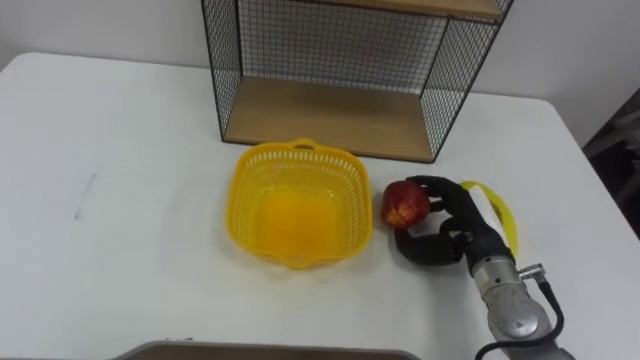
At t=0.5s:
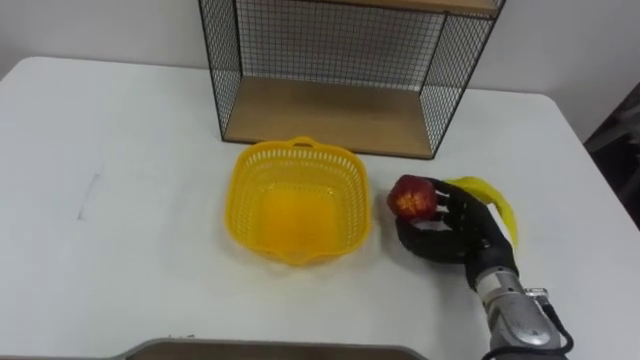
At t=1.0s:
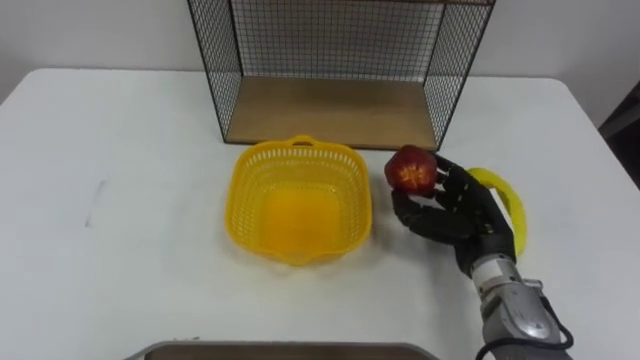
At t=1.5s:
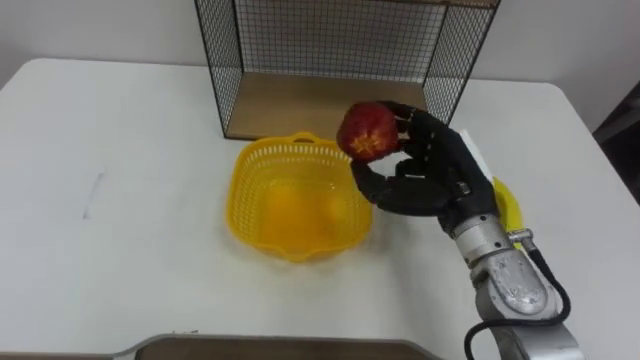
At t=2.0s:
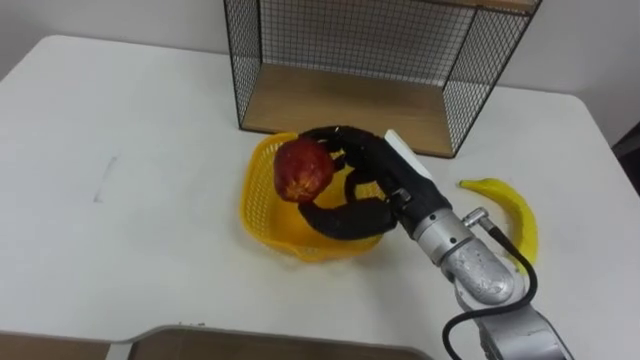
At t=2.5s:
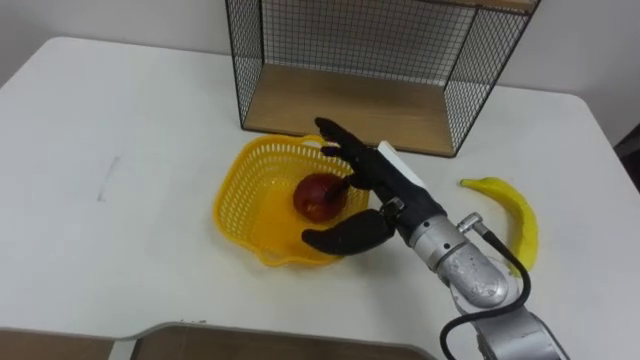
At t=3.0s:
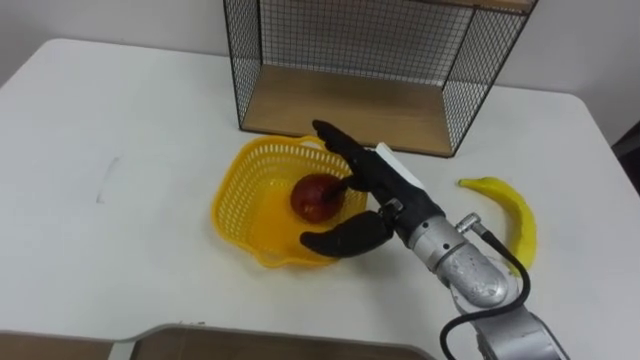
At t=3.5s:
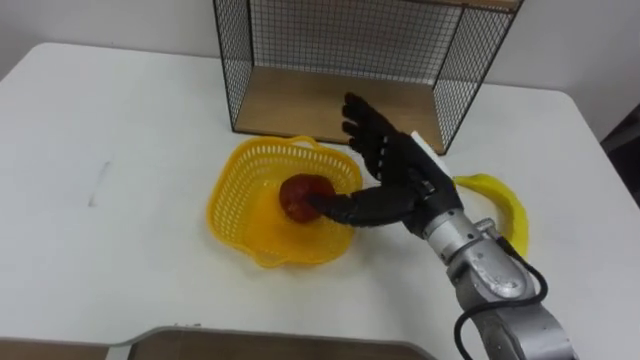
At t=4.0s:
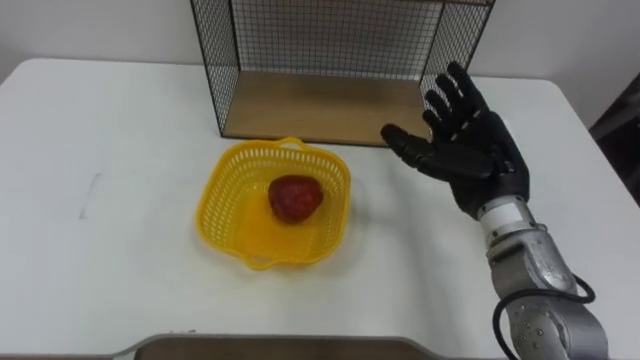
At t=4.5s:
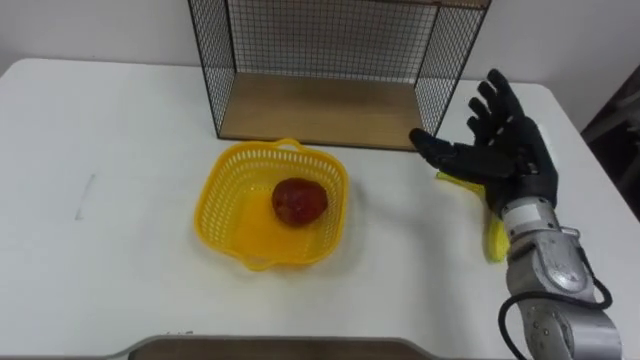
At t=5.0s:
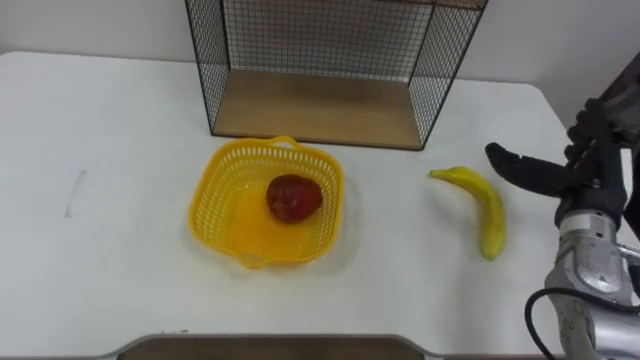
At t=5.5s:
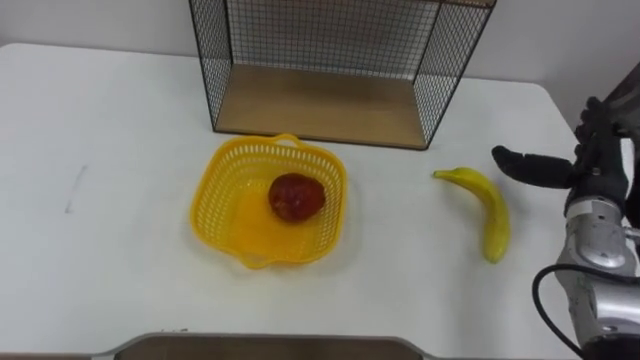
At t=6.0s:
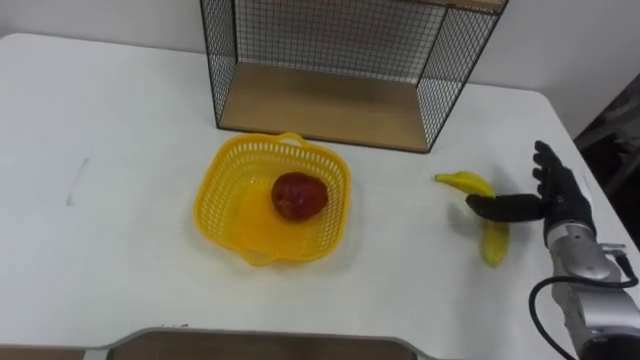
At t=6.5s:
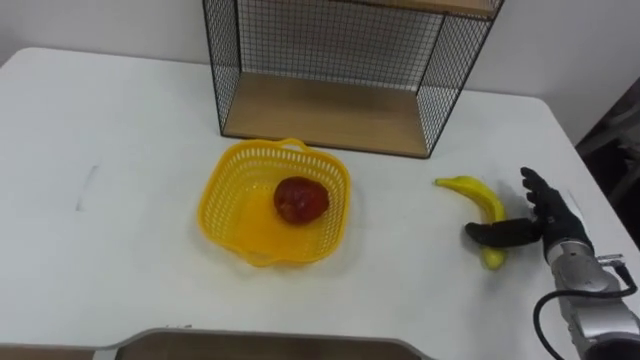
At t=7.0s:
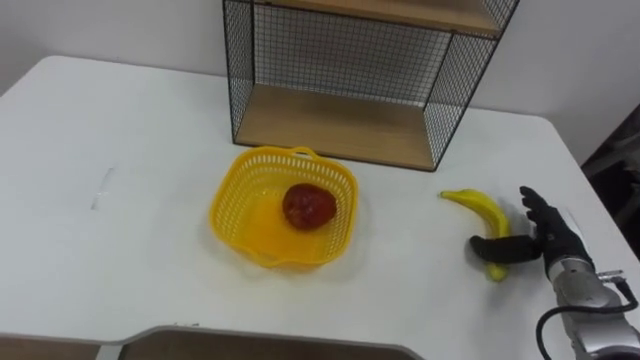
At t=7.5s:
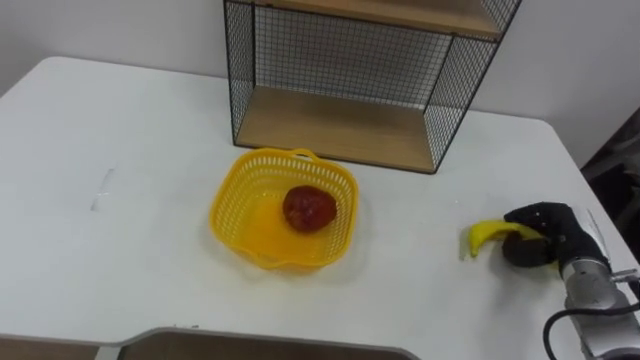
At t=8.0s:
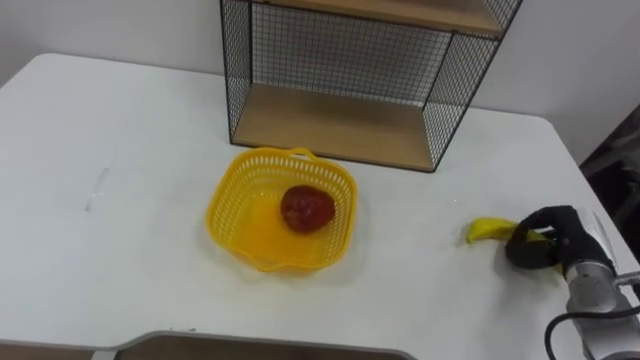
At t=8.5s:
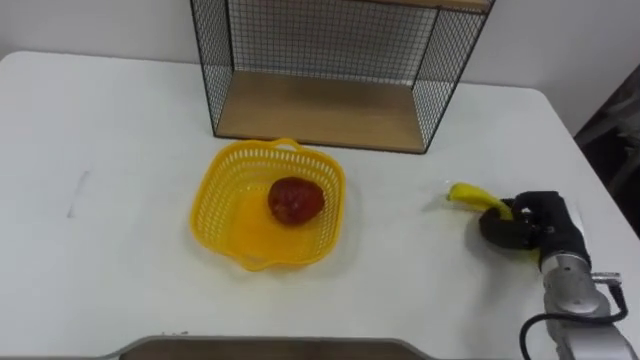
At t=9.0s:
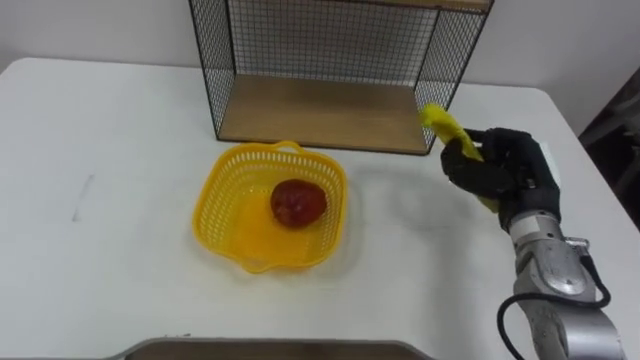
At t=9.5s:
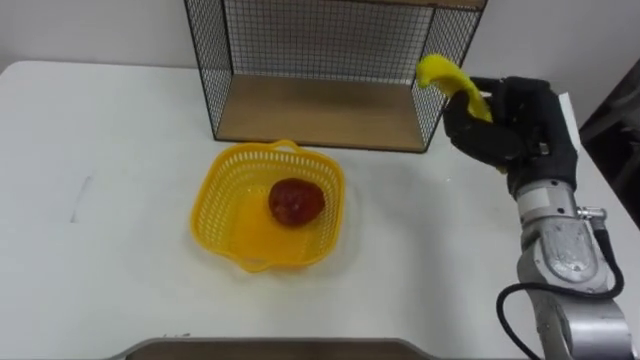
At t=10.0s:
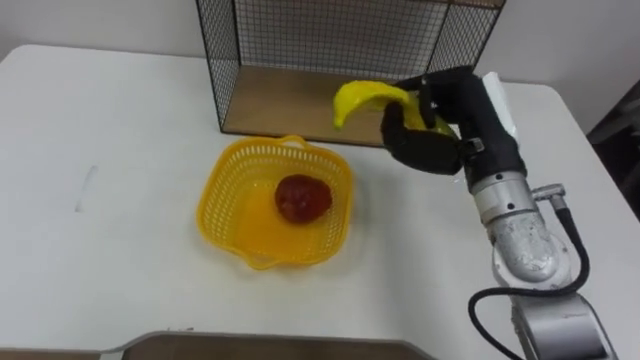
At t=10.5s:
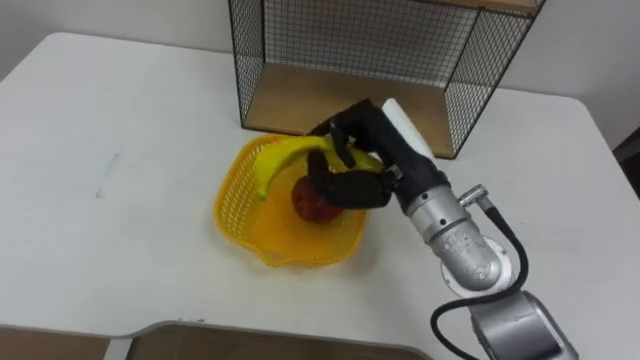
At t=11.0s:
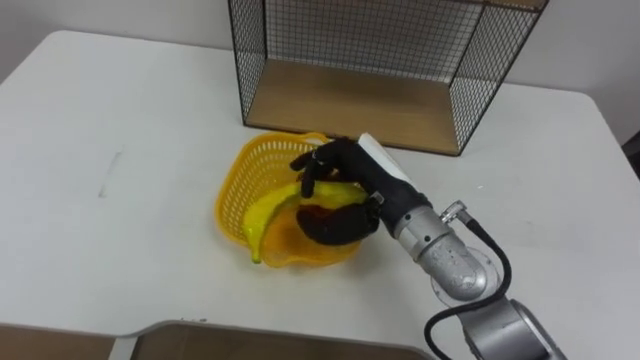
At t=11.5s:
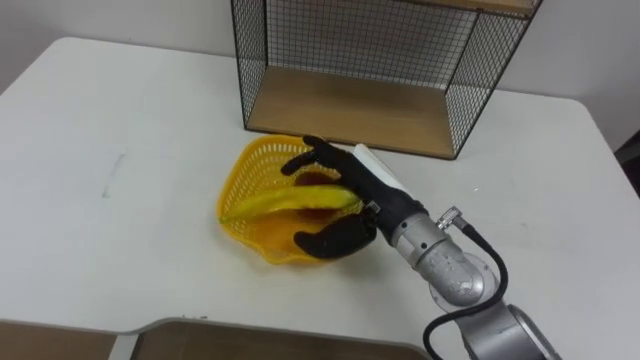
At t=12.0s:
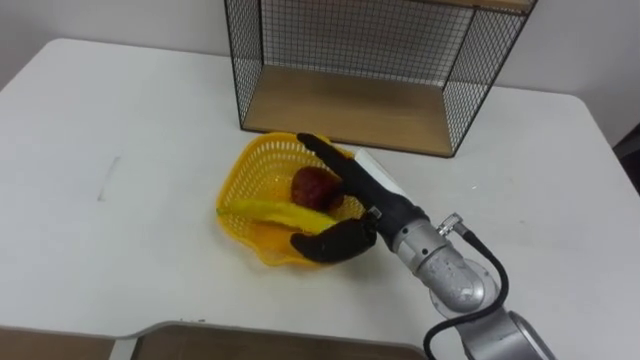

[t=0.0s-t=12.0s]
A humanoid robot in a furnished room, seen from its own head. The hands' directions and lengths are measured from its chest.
Task of the whole recording: Put the fruit on the table into the basket, then place the basket on the shelf.
t=0.0s to t=2.0s: The right hand goes roughly 15 cm to the left and upward.
t=2.0s to t=4.0s: The right hand goes some 10 cm to the right, and opens up.
t=4.0s to t=6.0s: The right hand goes about 15 cm to the right and downward.
t=6.0s to t=8.0s: The right hand heads downward, covering roughly 5 cm, and closes its fingers.
t=8.0s to t=10.0s: The right hand travels upward and to the left by some 25 cm.
t=10.0s to t=12.0s: The right hand moves to the left and downward, some 15 cm, and opens its fingers.

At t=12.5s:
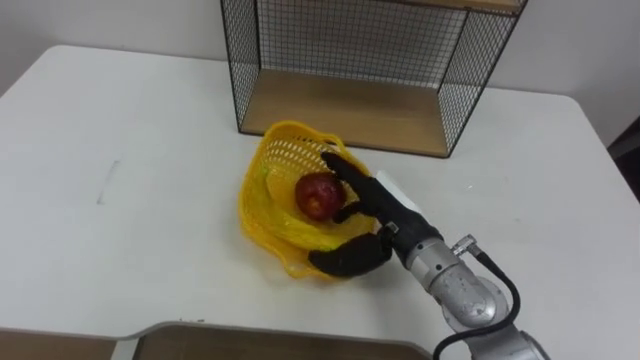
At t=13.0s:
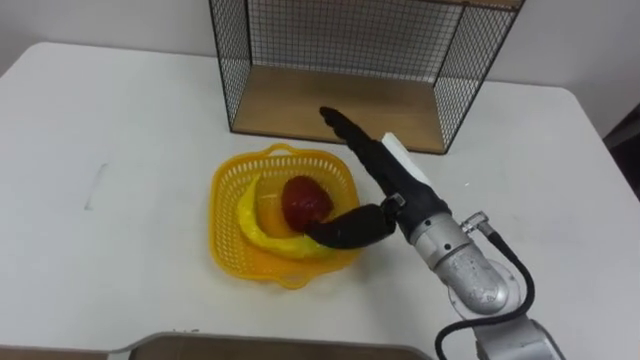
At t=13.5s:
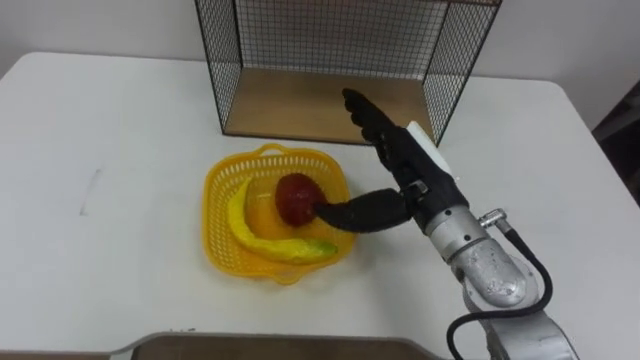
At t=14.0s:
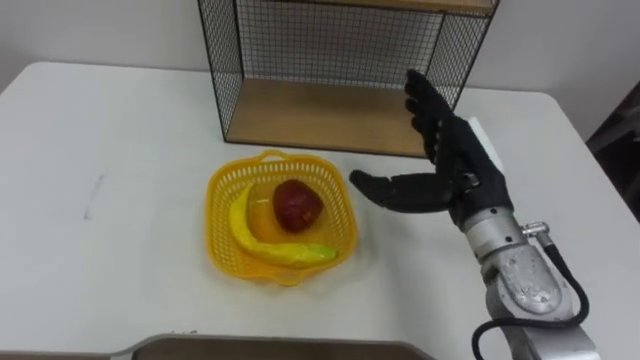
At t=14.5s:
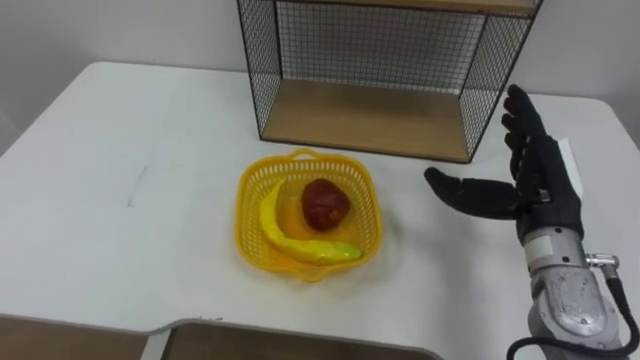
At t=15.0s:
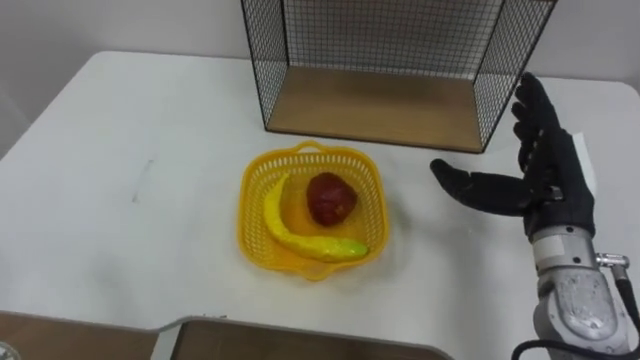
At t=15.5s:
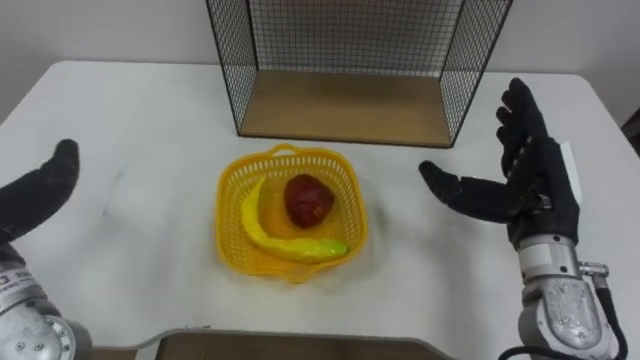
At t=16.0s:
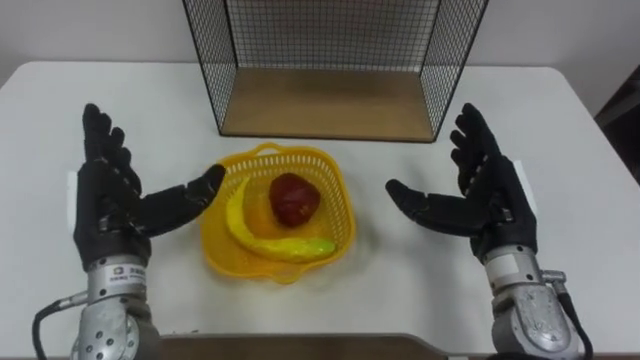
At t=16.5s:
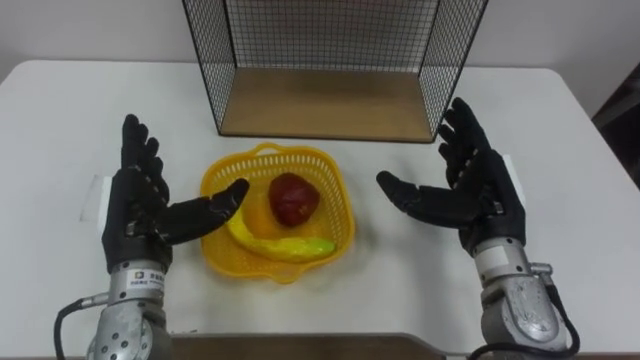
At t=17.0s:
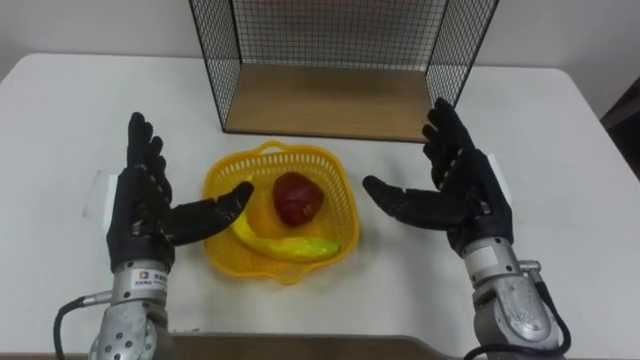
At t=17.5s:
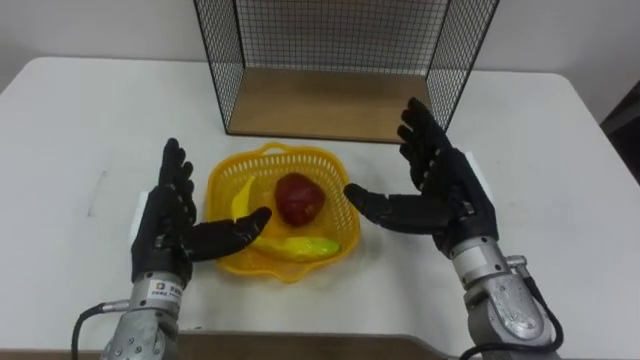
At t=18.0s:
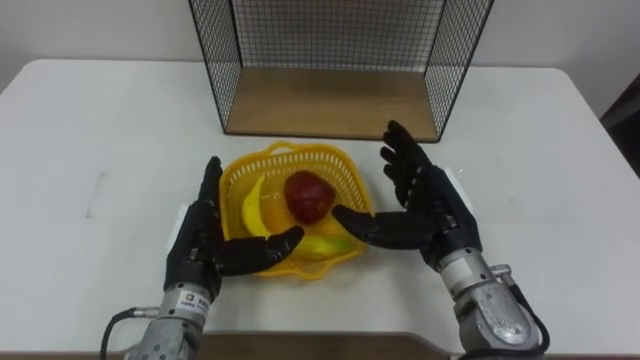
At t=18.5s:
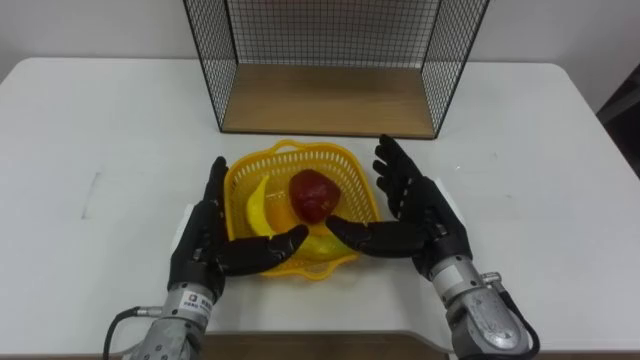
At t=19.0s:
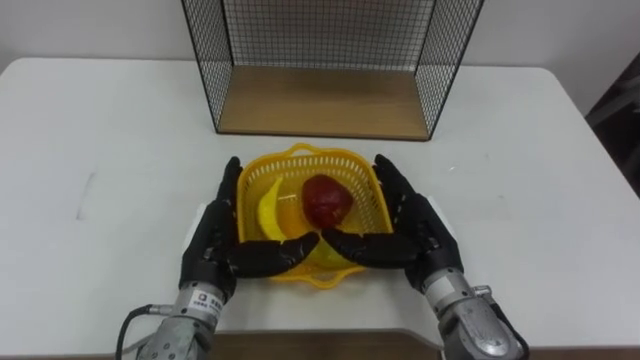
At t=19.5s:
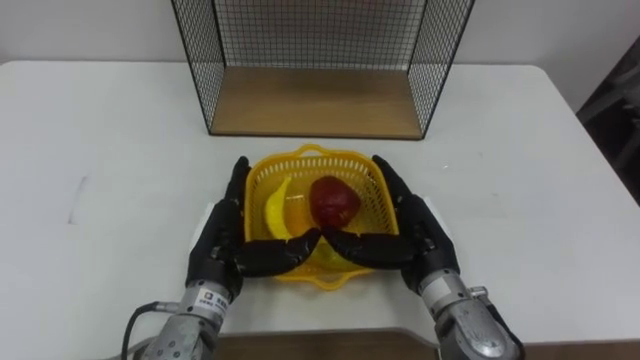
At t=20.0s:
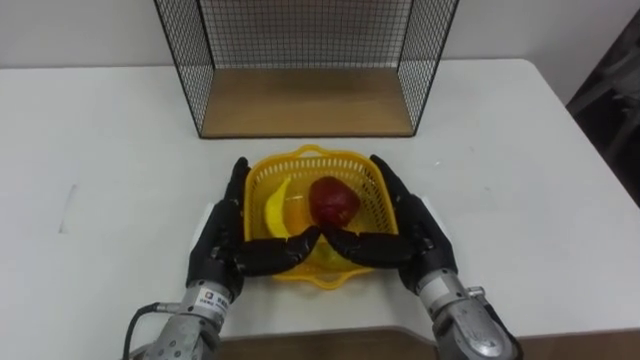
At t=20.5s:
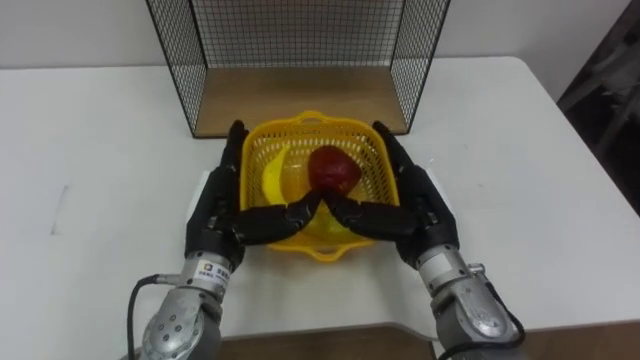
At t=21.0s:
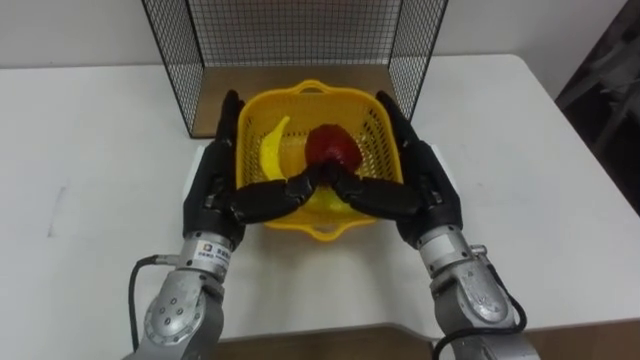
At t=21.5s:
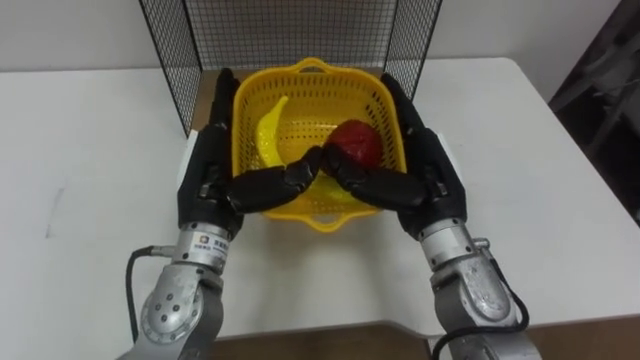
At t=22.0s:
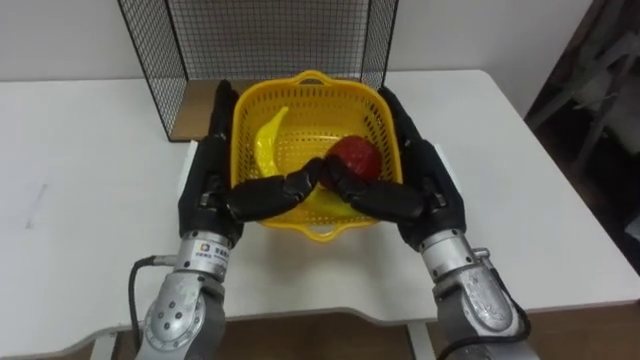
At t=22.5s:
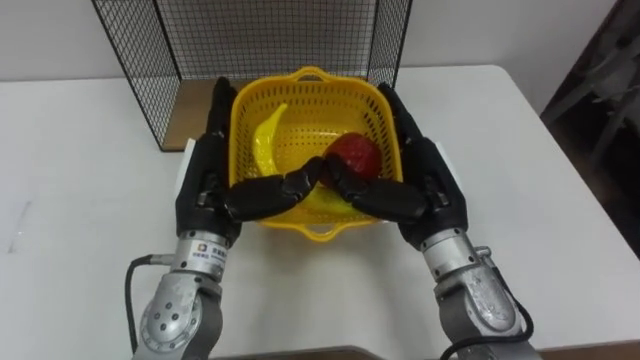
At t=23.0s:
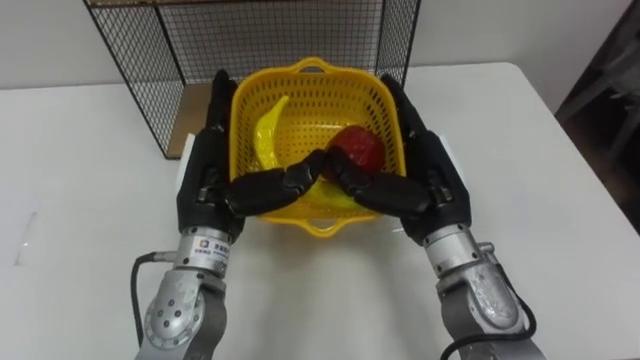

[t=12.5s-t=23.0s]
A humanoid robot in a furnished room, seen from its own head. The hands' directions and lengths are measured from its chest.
Task of the whole recording: Put the fruit on the table into the basket, then place the basket on the shelf.
t=12.5s to t=14.5s: The right hand travels to the right by some 15 cm.
t=14.5s to t=16.5s: The right hand goes some 5 cm to the left.
t=16.5s to t=19.0s: The right hand moves to the left and downward, about 10 cm, while the left hand moves to the right, some 10 cm.
t=19.0s to t=21.0s: The hands both shift upward by some 5 cm.
